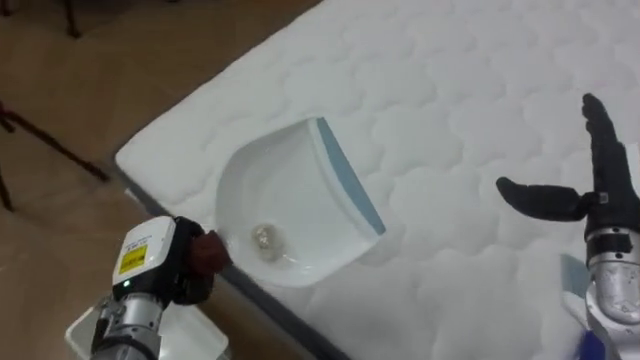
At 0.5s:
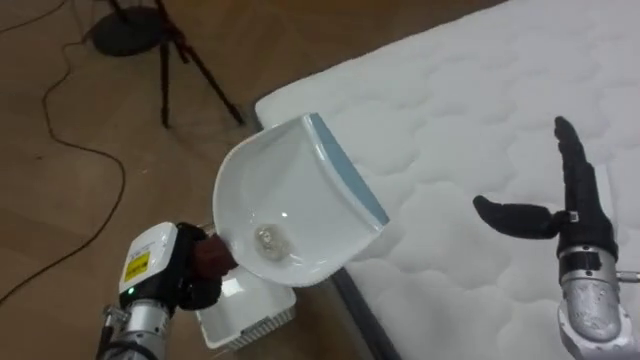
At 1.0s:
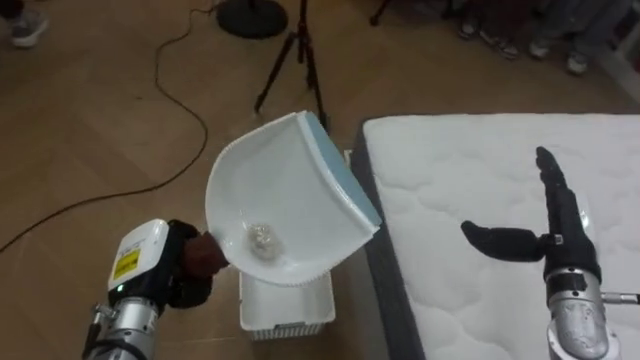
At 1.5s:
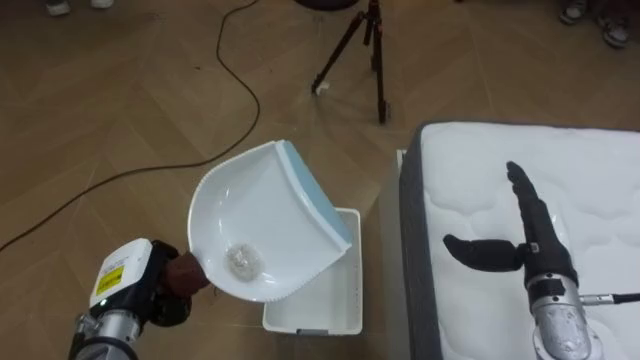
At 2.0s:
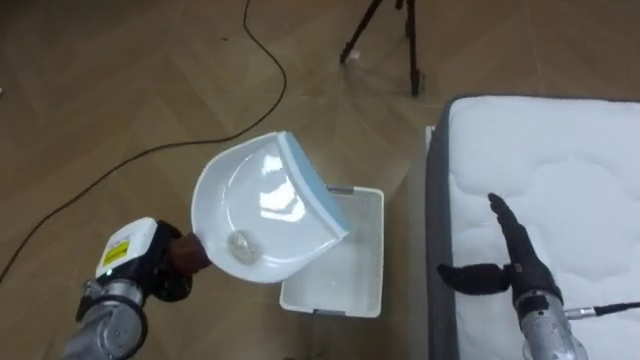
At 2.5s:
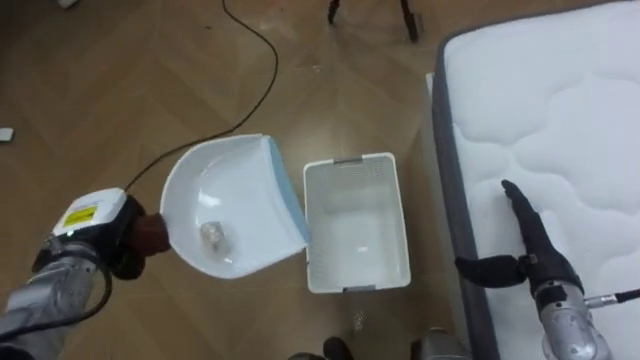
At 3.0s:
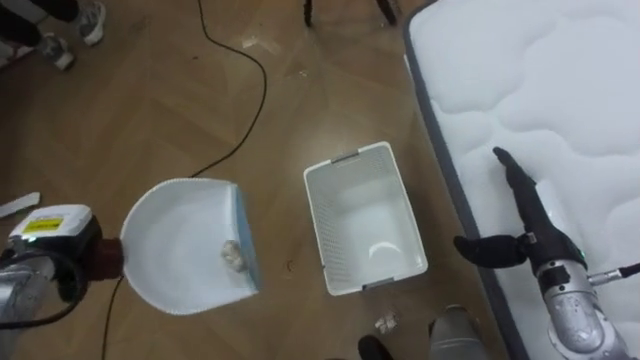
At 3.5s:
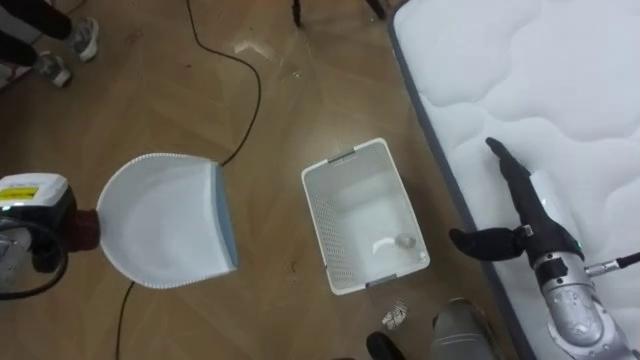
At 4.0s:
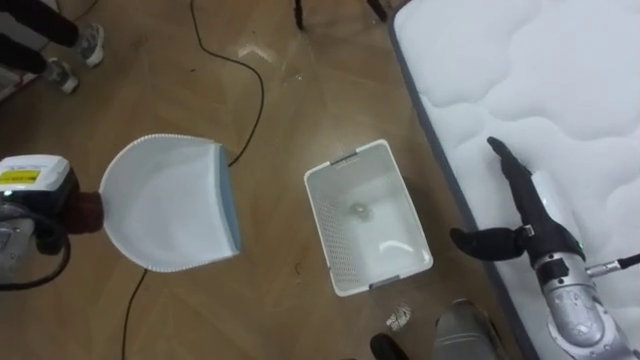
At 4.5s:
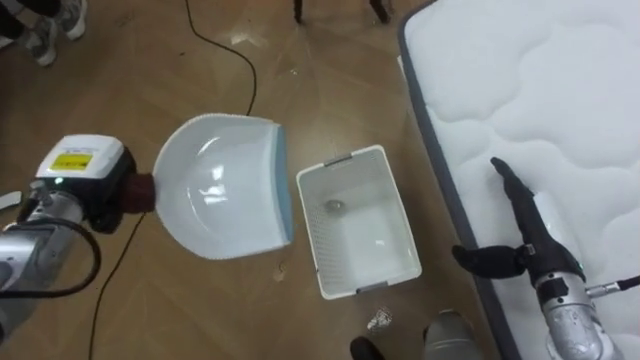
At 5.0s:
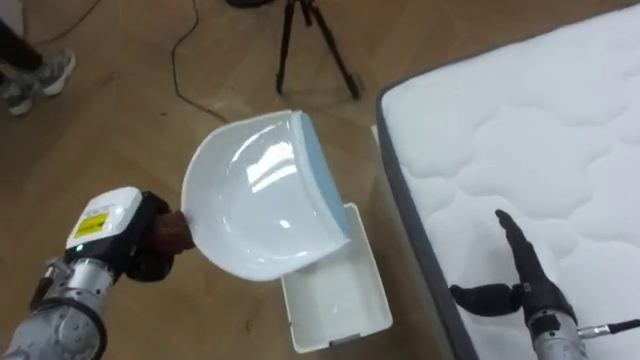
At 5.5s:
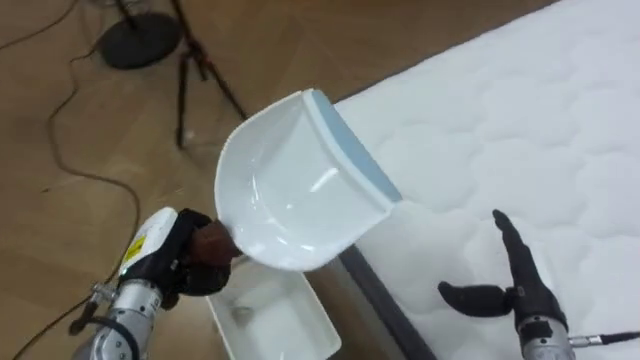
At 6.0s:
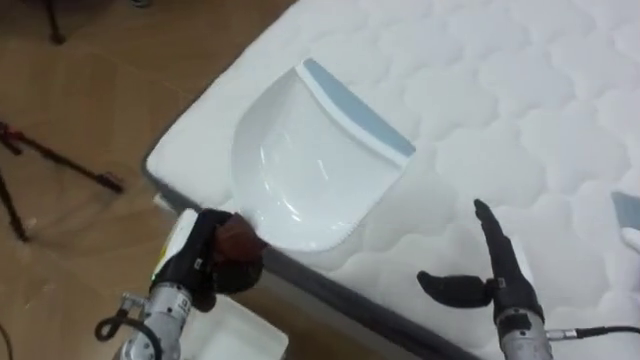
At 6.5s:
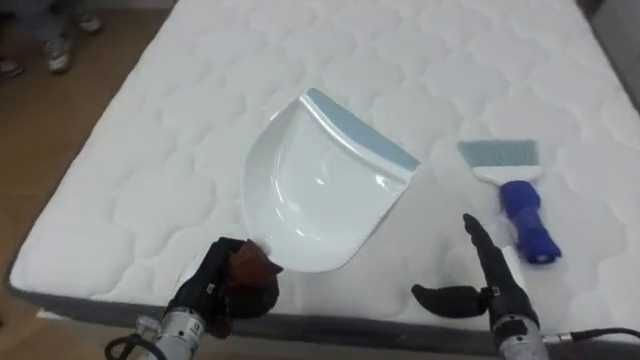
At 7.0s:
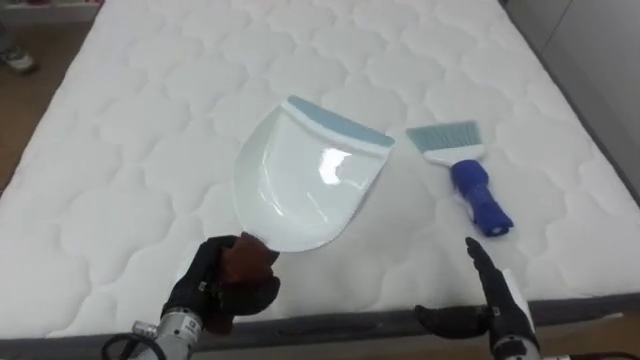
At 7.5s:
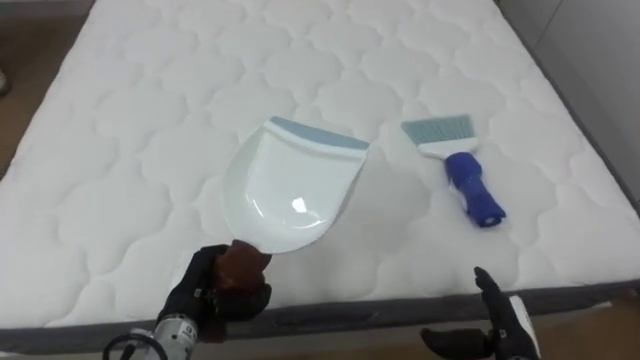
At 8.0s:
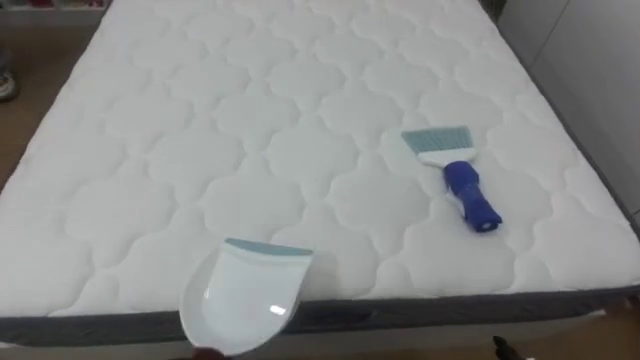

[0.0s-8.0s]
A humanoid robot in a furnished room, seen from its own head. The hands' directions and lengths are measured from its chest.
Task of the whole recording: Pick up the brush on your right and the dustpan on your left. Use the brush to sweep the crumpled paper on the bed into the dustpan, then turn left and empty it into the basket.
0.0s to 2.0s: The robot's body swings roughly 65 degrees to its left. The right hand travels downward and to the left by about 15 cm, while the left hand shifts by roughly 5 cm.
2.0s to 4.0s: The left hand moves to the left, upward and forward, approximately 15 cm. Meanwhile the right hand goes some 5 cm upward.
4.0s to 6.0s: The robot faces some 65 degrees further to its right. The left hand heads to the right, covering some 20 cm; the right hand travels downward by roughly 5 cm.
6.0s to 8.0s: The robot turns to its right by about 30 degrees.

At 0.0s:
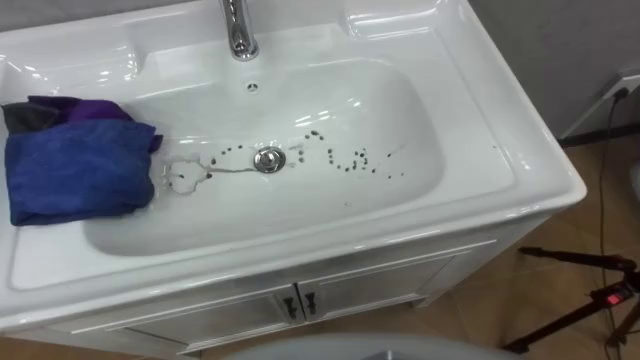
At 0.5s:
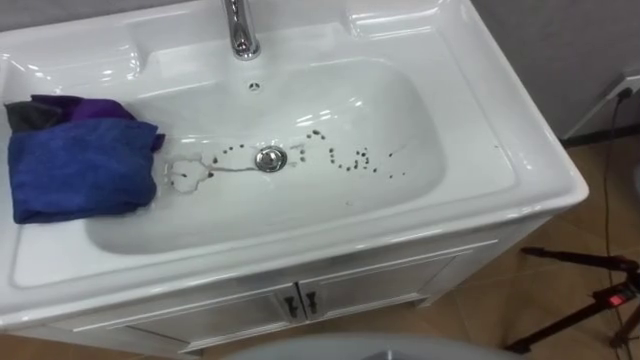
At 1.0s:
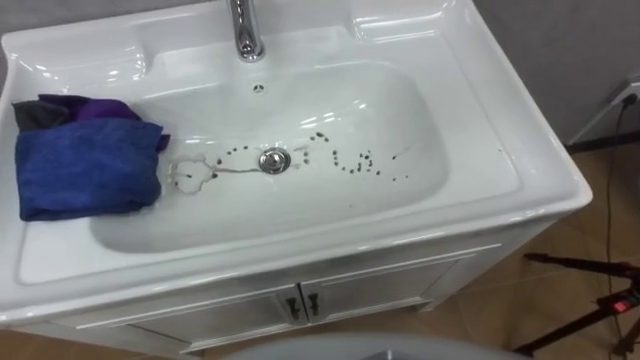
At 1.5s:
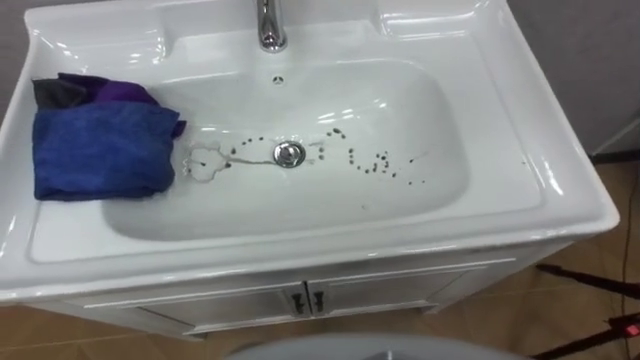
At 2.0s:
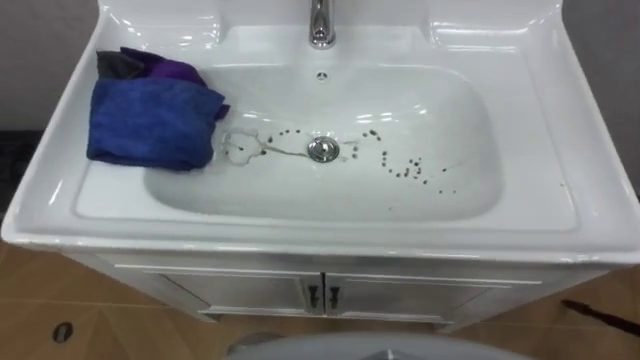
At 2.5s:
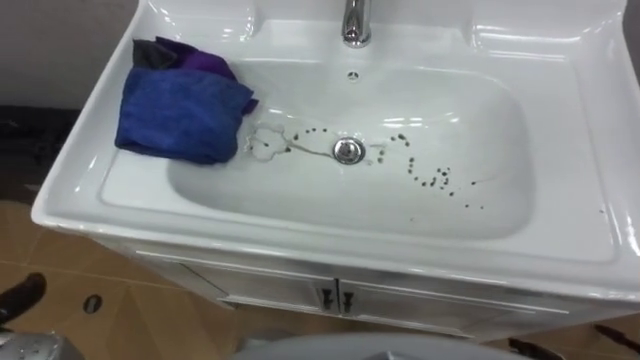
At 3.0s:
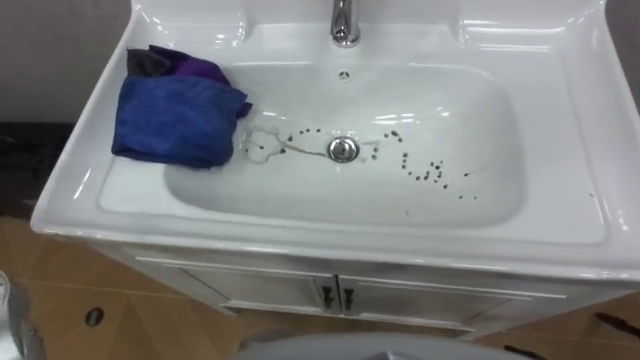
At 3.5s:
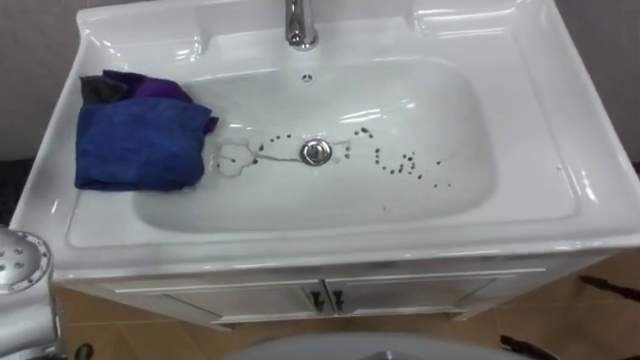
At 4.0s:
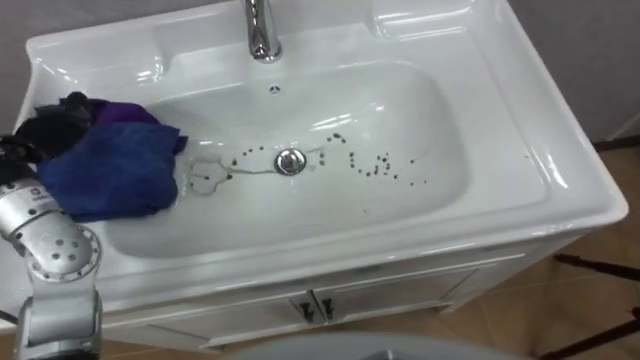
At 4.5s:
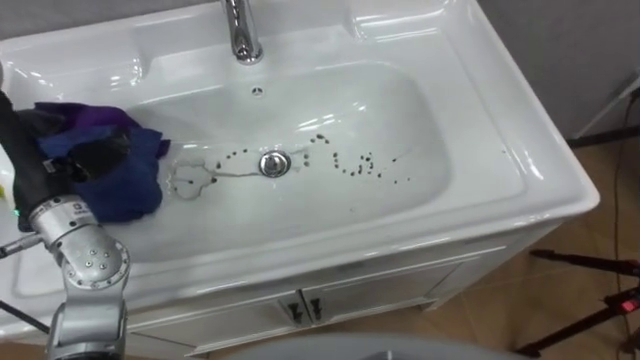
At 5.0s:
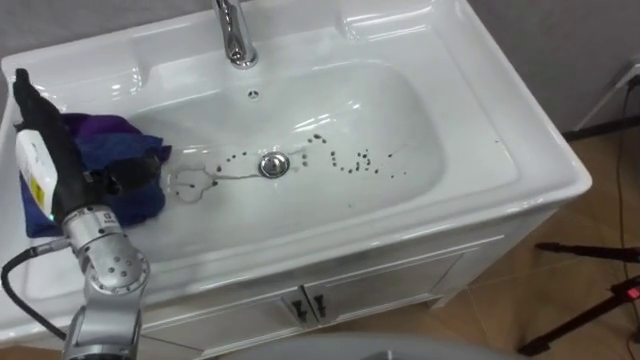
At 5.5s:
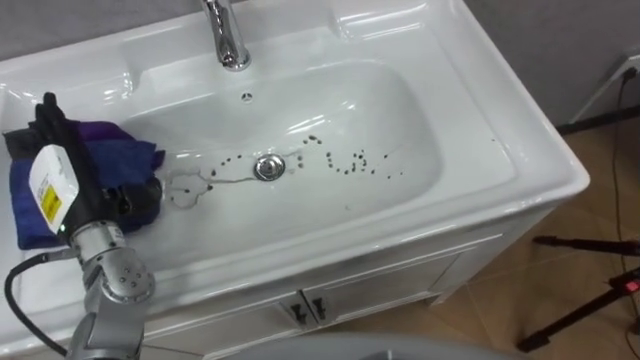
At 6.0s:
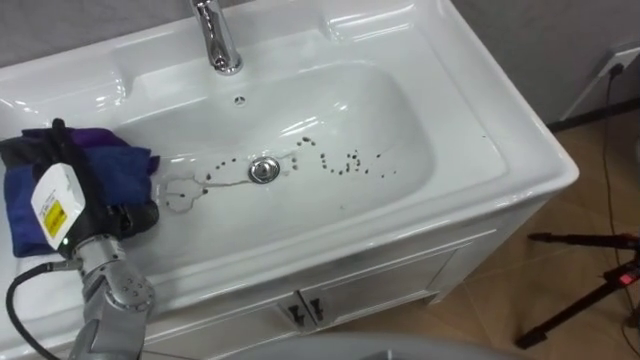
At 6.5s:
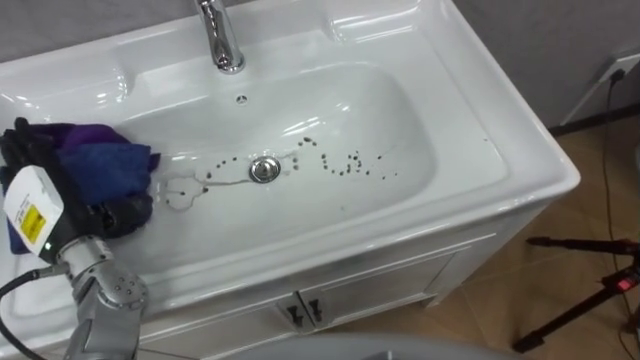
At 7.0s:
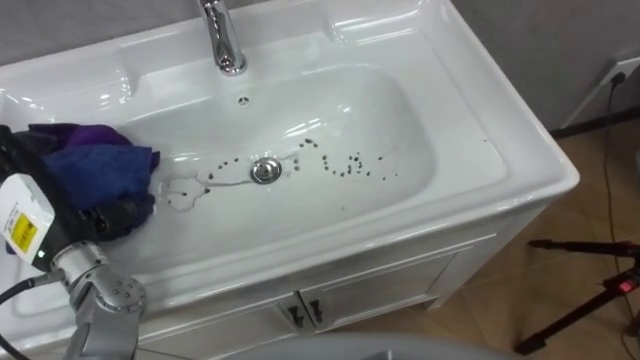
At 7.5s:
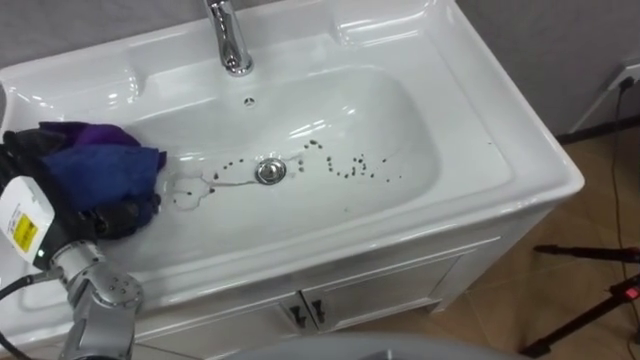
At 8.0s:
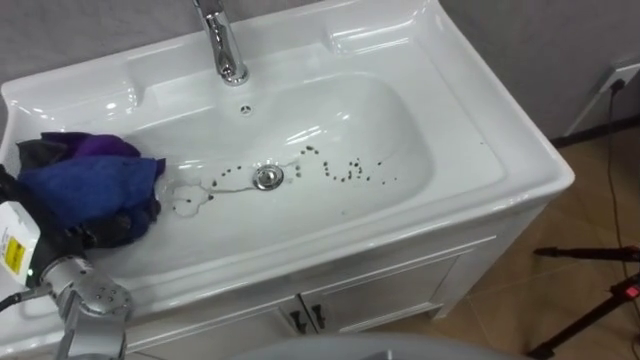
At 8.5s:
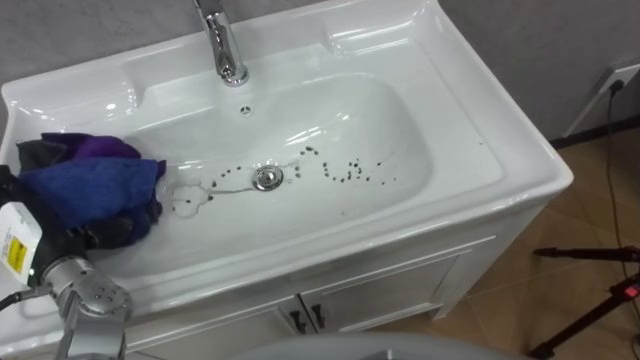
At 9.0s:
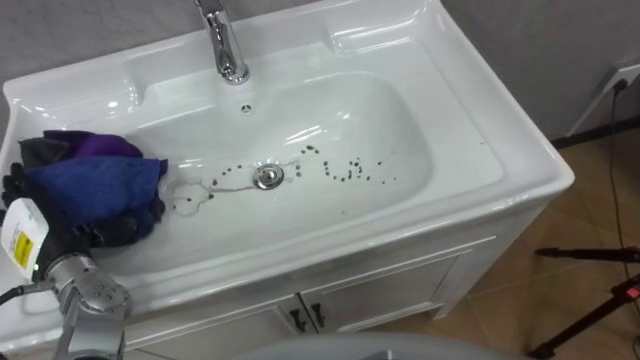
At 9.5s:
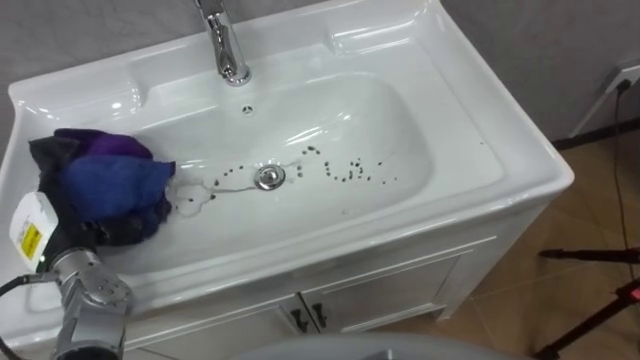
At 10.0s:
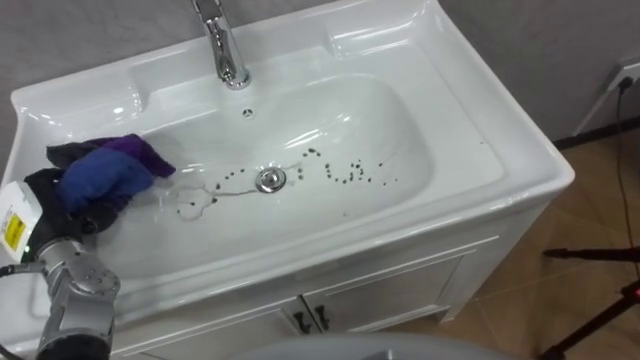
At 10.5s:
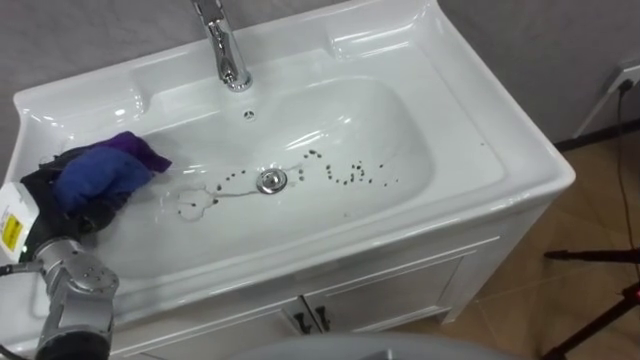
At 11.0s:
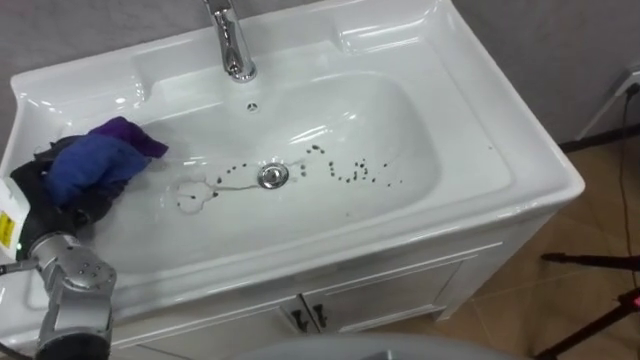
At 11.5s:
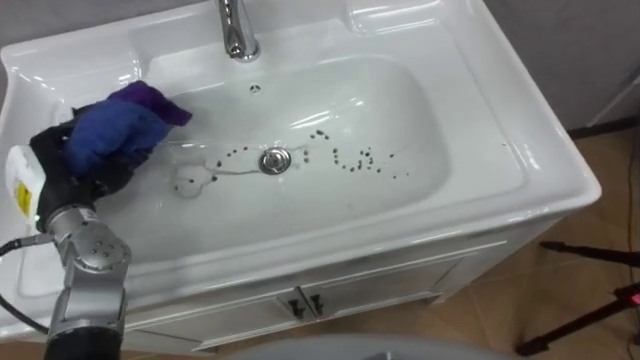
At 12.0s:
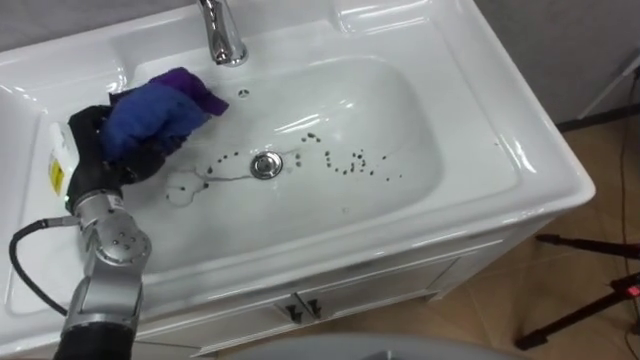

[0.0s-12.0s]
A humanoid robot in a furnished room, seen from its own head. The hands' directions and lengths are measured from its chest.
Task of the whole recording: Use the cloth on the right to wipe away the black stain in the sink.
6.0s to 8.0s: The left hand ends up approximately 5 cm from where it was.
8.0s to 10.0s: The left hand closes up.
10.0s to 12.0s: The left hand travels to the right, forward and upward by approximately 10 cm.
